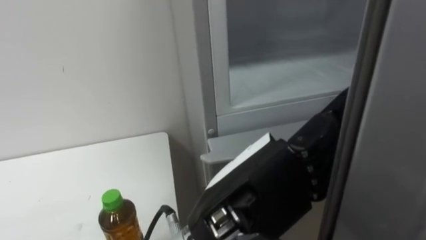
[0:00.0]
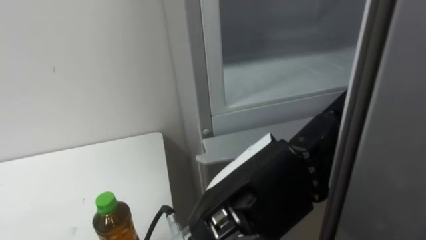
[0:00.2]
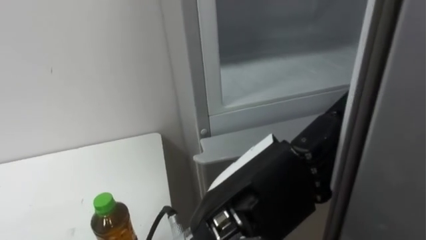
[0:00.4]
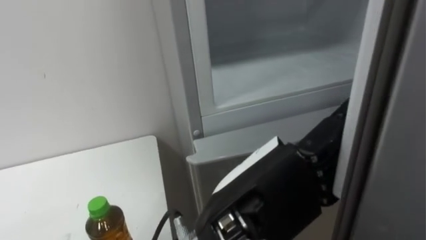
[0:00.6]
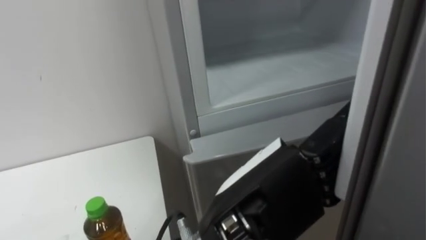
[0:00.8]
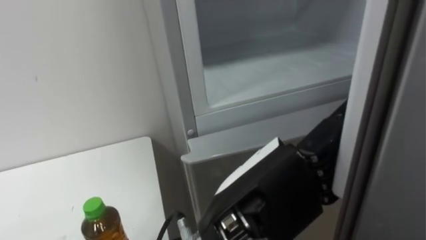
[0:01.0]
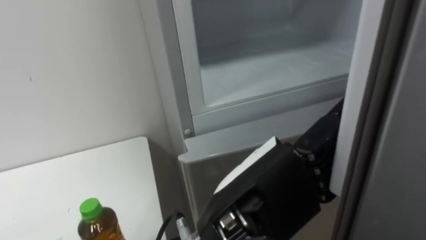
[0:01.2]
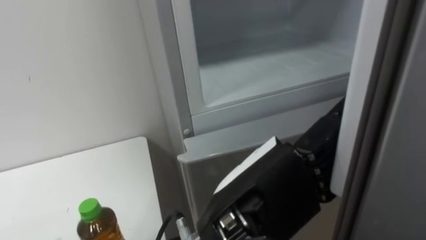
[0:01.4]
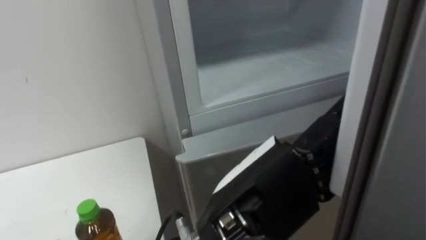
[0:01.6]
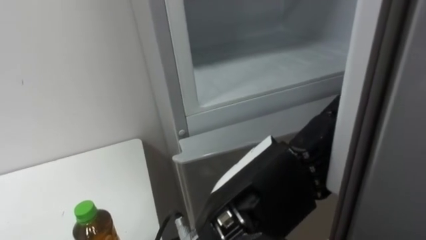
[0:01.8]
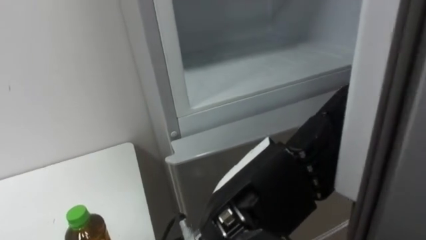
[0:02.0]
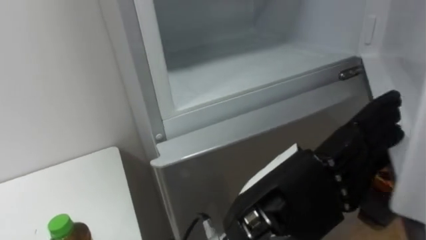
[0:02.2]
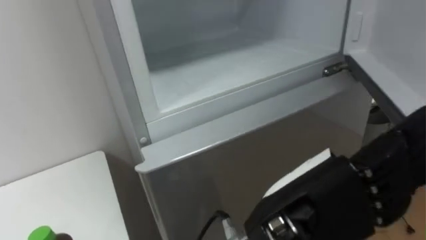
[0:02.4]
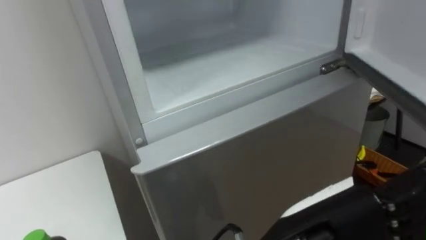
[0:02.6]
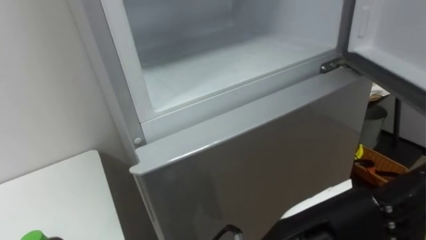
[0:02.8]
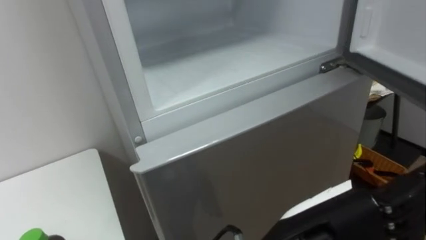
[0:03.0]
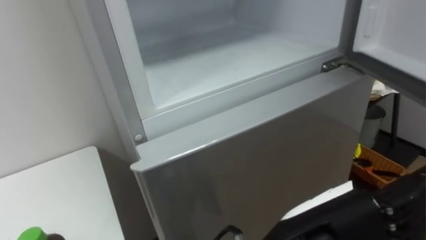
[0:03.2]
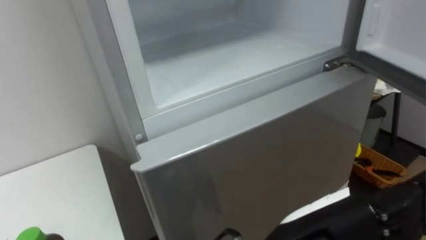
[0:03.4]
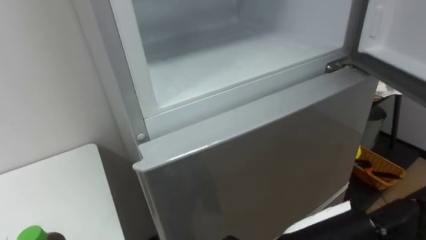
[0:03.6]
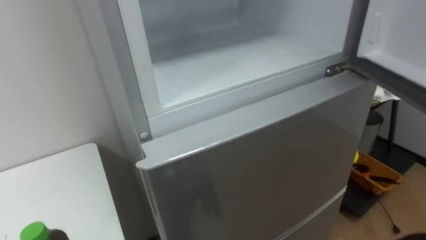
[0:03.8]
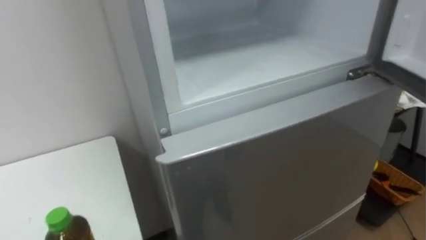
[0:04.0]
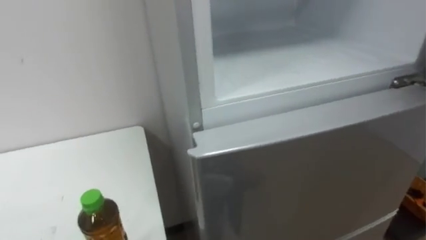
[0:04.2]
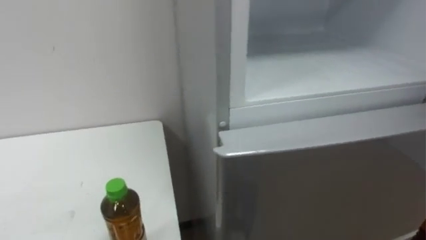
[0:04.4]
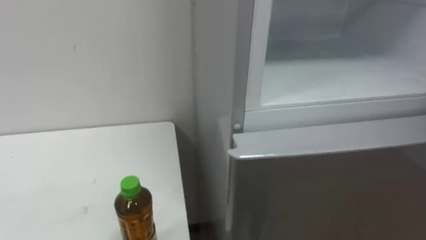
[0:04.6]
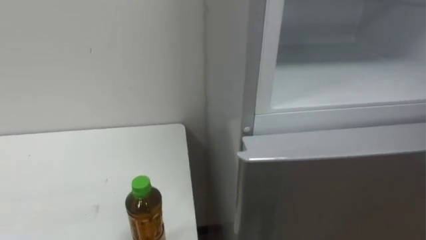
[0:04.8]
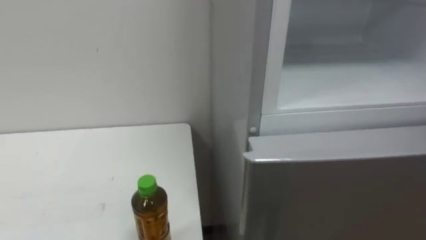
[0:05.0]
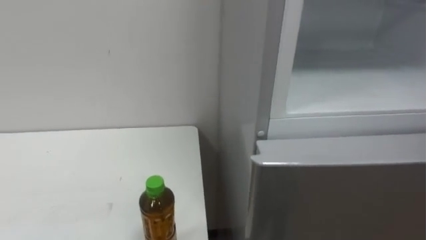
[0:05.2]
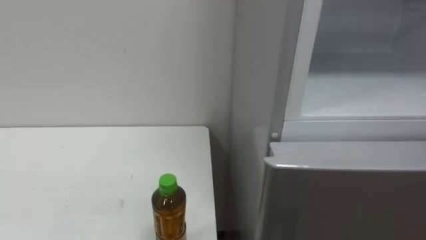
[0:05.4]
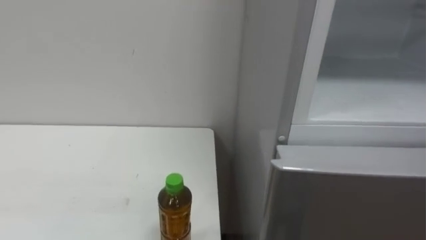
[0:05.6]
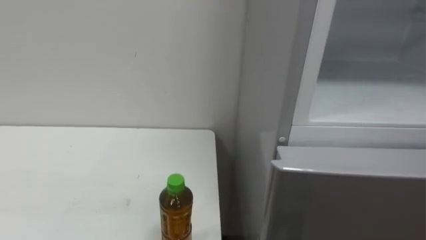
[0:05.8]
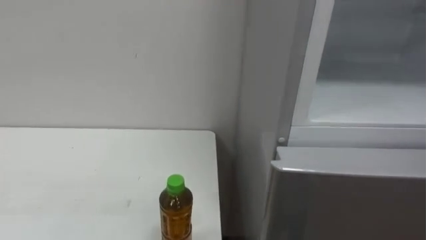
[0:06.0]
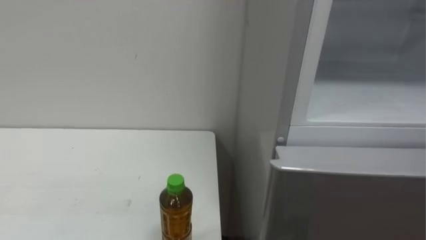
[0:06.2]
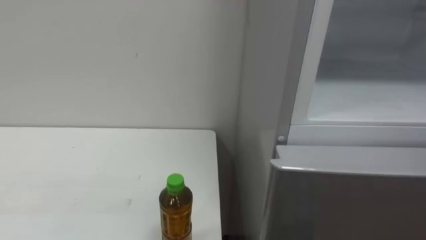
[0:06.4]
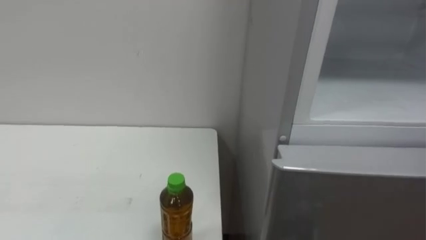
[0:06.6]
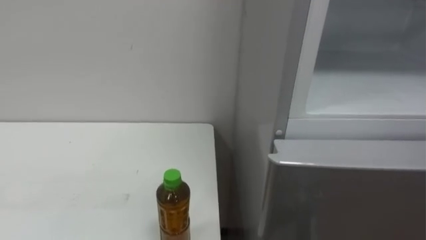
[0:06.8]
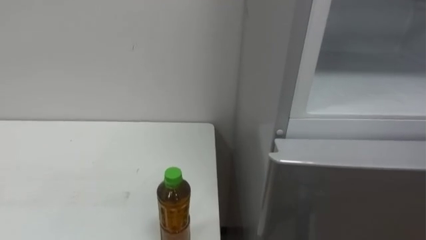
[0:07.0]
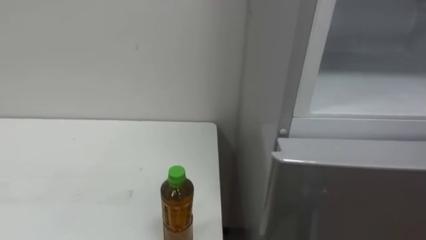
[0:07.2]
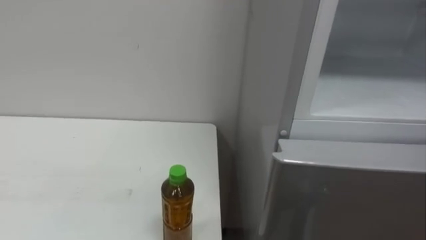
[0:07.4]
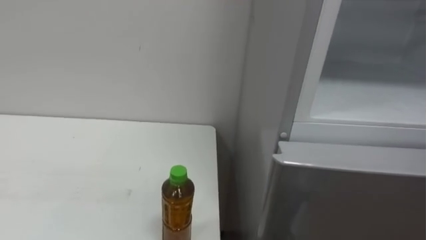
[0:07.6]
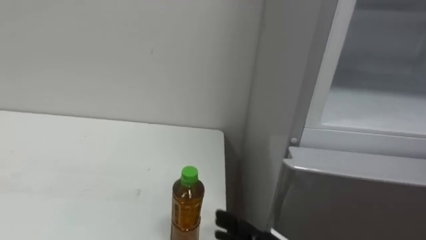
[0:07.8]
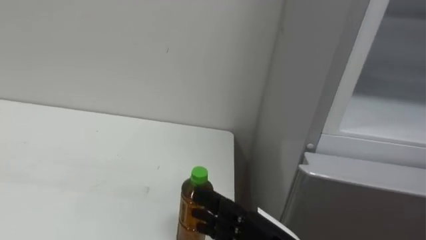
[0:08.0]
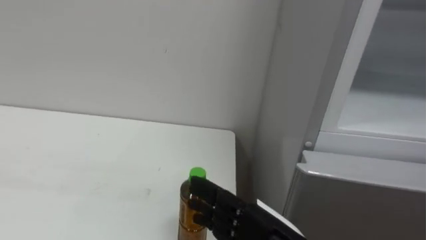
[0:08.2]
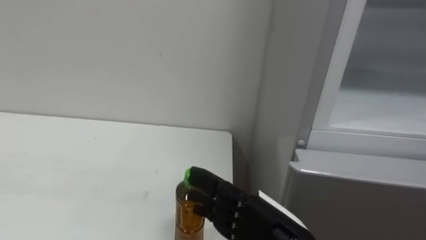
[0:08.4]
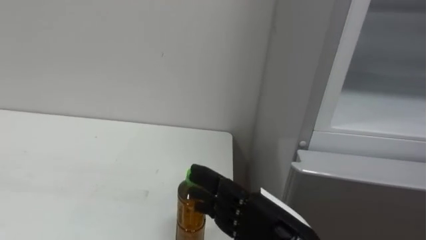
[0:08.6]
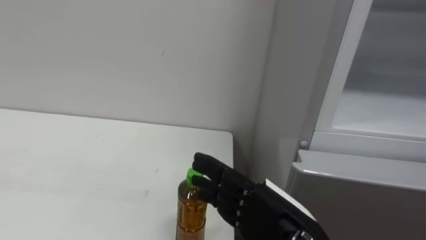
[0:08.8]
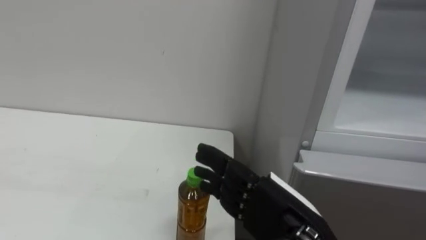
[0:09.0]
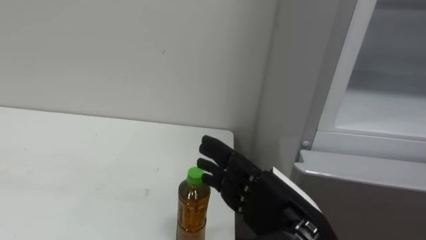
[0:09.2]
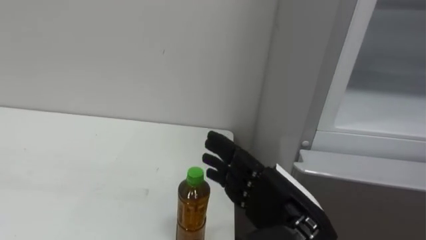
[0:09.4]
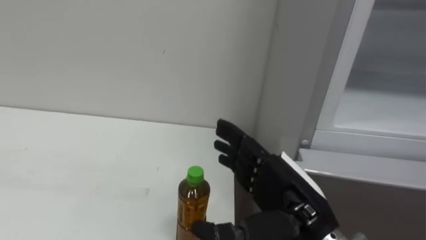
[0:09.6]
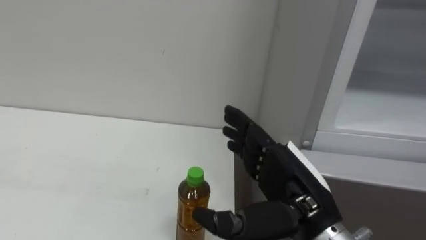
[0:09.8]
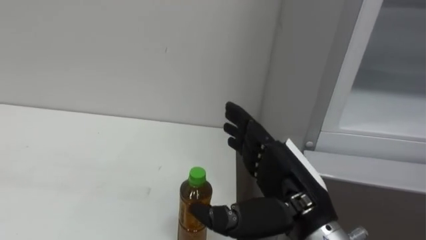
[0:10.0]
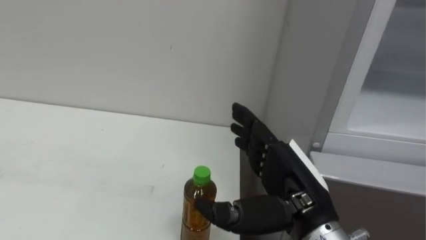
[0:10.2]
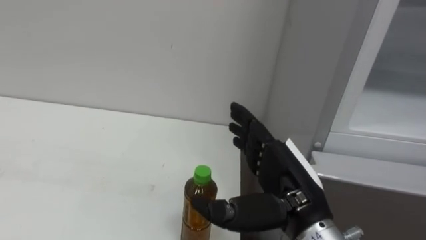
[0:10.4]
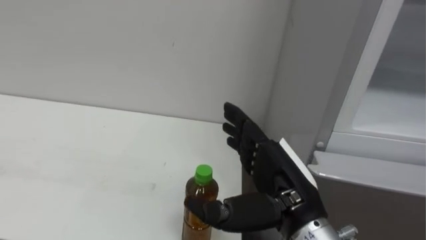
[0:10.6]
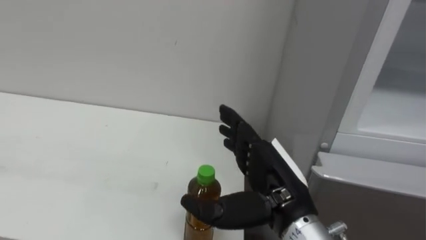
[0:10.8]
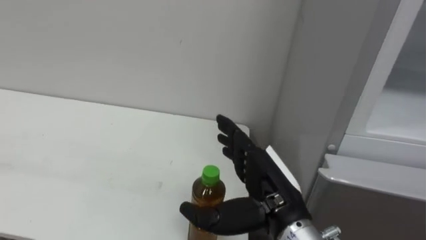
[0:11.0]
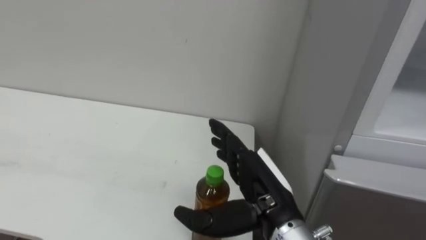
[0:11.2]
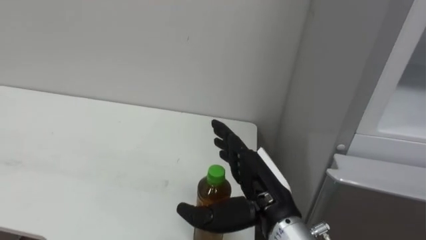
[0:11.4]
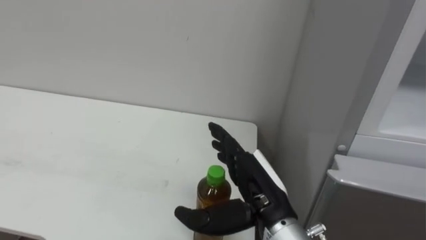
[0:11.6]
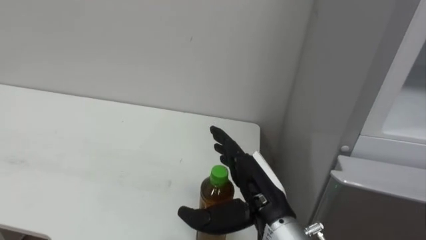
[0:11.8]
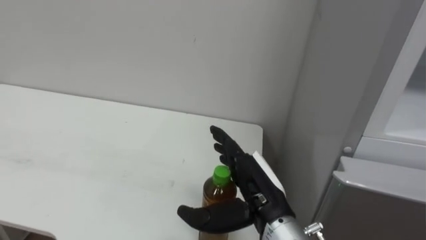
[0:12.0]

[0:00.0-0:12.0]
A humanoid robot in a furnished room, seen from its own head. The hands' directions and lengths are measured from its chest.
Task of the whole recording: Open the upper refrigerator door, put the drink from the table into the refrigerator, and then close the refrigerator door.
0:01.6 to 0:03.0: The left hand goes some 5 cm to the right.
0:10.4 to 0:12.0: The right hand ends up roughly 5 cm from where it was.

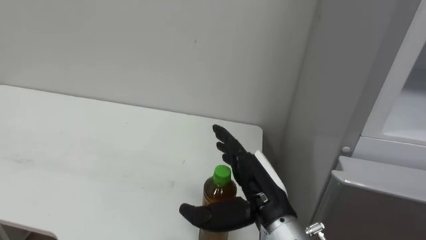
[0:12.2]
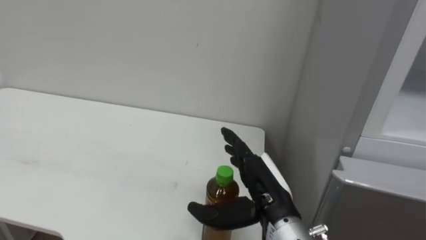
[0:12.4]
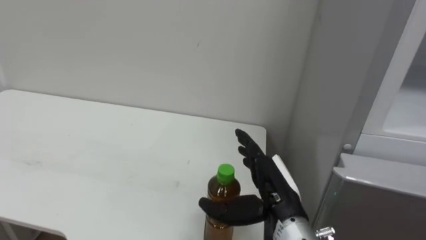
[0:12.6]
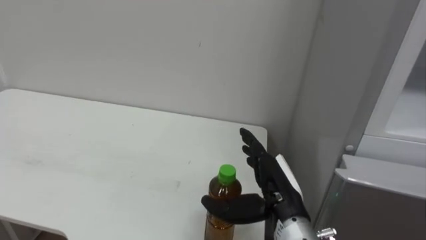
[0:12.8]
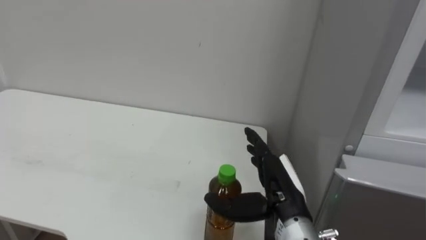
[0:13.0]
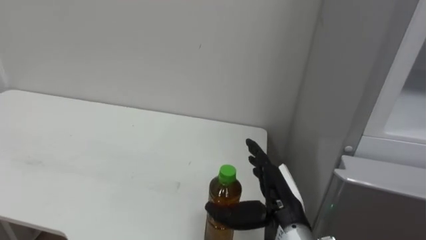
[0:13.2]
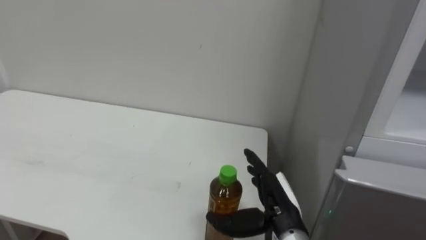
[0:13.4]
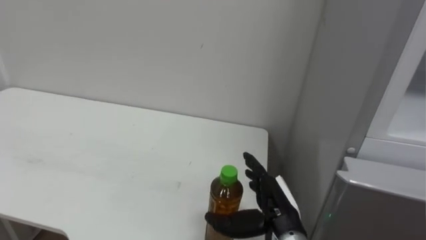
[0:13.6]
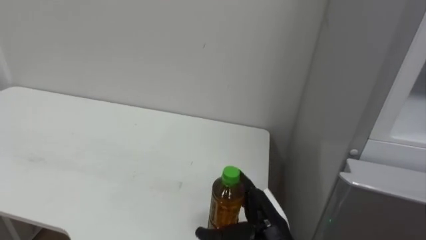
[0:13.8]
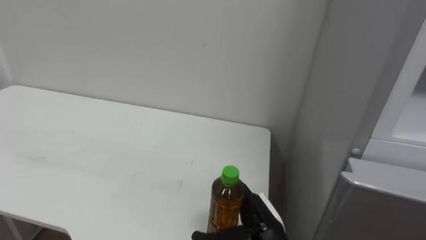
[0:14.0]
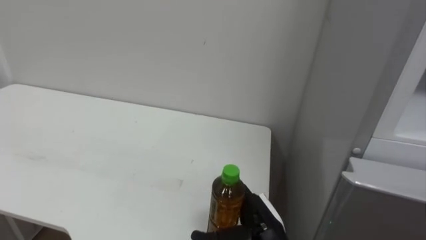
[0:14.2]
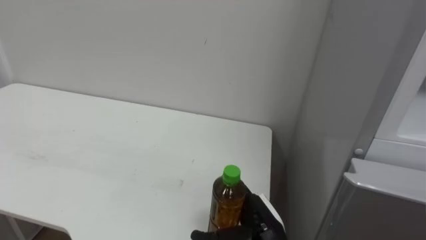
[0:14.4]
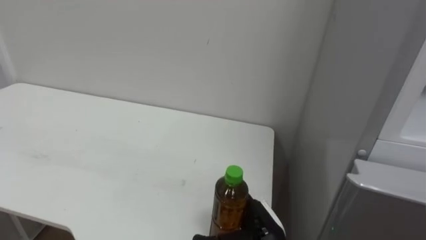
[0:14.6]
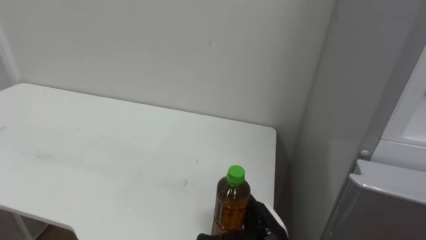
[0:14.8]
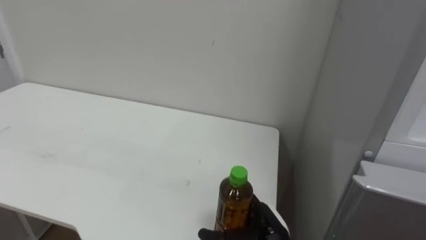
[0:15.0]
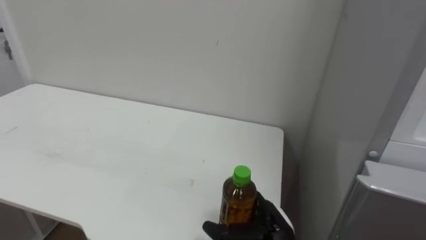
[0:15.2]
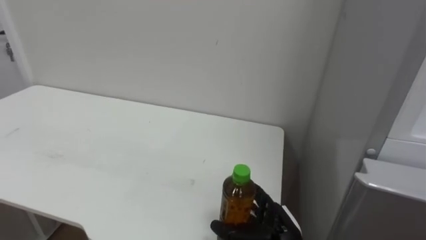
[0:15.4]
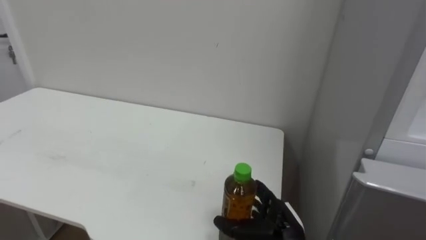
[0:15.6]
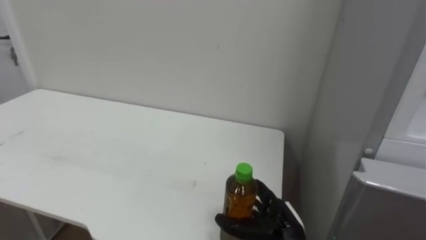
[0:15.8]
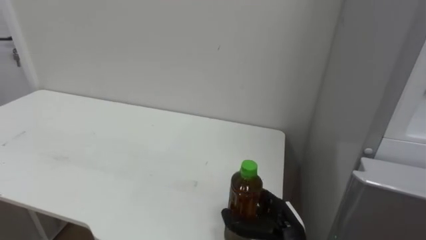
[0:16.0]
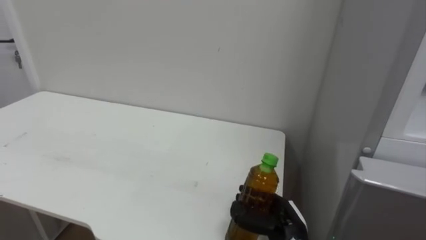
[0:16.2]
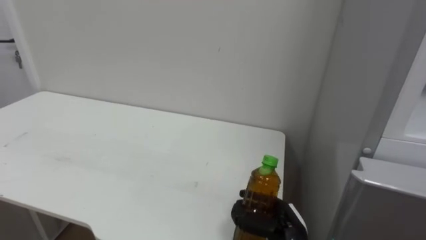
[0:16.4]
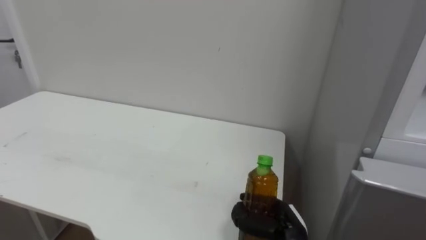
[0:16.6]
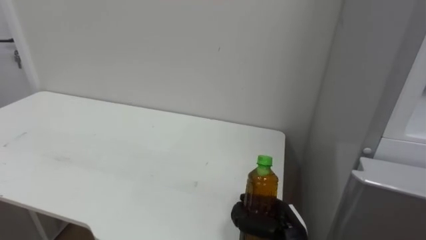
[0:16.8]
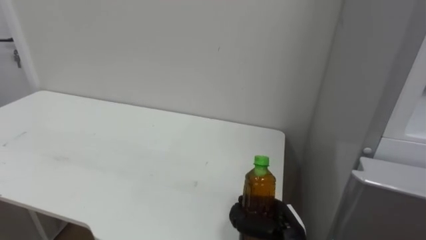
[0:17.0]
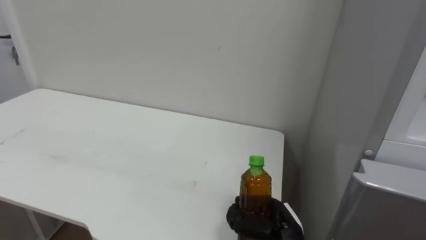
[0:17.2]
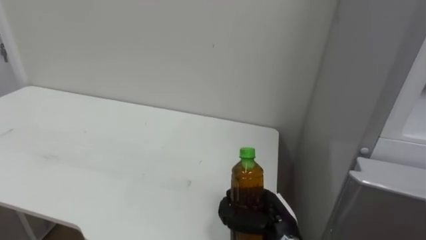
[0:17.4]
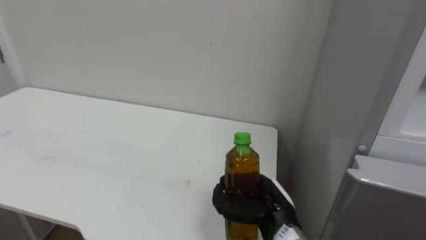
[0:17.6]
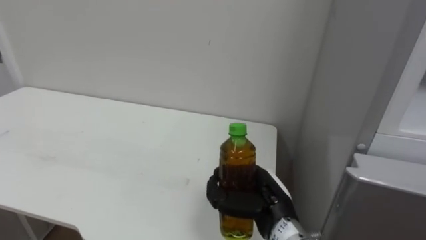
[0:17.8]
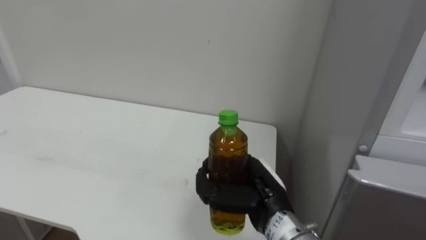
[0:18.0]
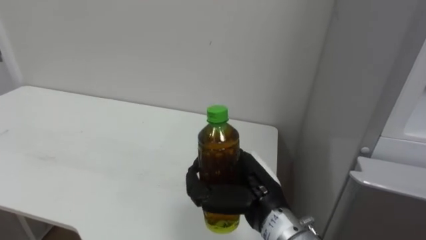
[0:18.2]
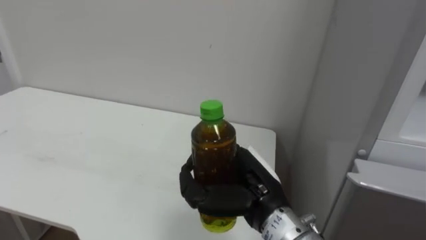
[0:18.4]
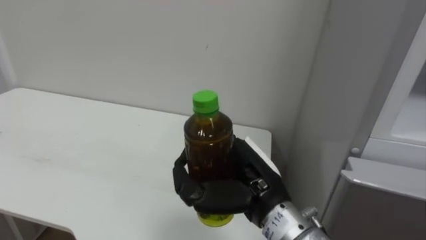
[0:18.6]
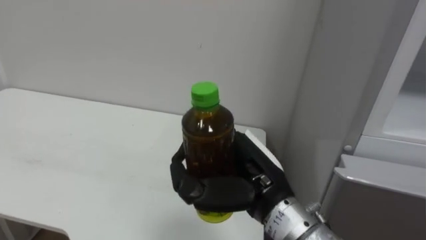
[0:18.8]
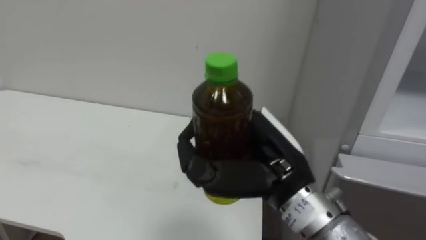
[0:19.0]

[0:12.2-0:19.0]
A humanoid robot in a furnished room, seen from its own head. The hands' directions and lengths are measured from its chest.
Task of the whole recording: Open the upper refrigerator door, put the drink from the table into the refrigerator, and then close the refrigerator door.
0:12.2 to 0:13.6: The right hand travels downward by roughly 5 cm.
0:13.6 to 0:15.0: The right hand shifts approximately 5 cm downward.
0:15.0 to 0:16.2: The right hand closes its fingers.
0:16.2 to 0:17.6: The right hand changes place by some 5 cm.
0:17.6 to 0:19.0: The right hand goes approximately 15 cm upward.
